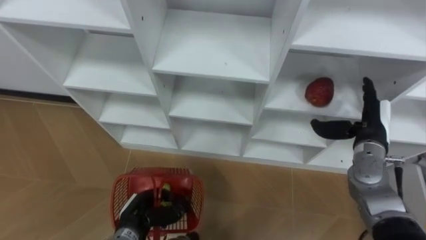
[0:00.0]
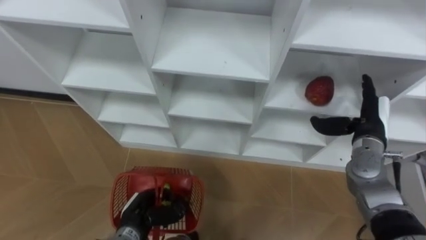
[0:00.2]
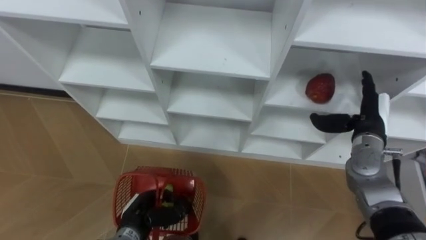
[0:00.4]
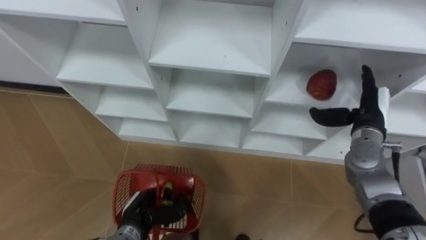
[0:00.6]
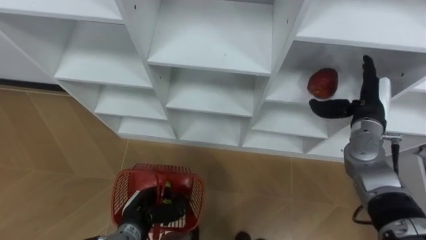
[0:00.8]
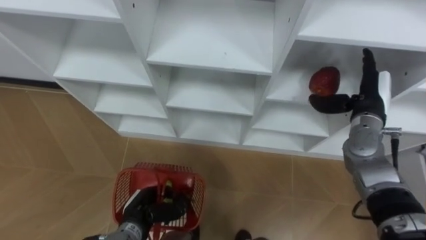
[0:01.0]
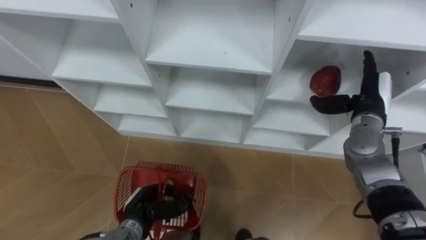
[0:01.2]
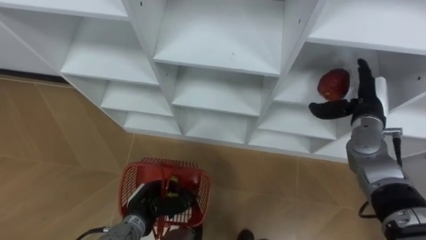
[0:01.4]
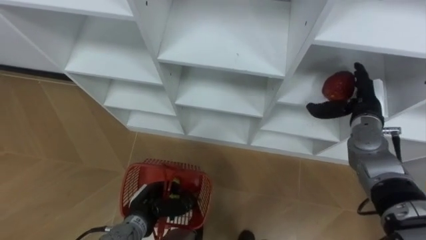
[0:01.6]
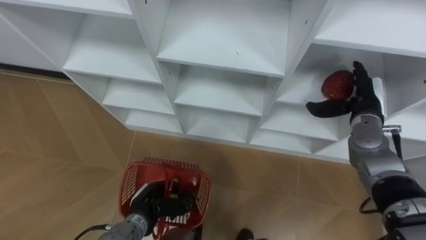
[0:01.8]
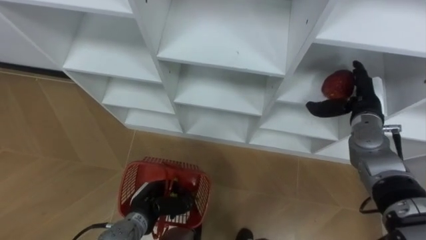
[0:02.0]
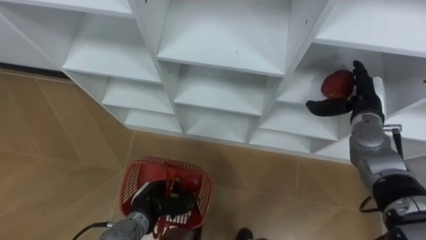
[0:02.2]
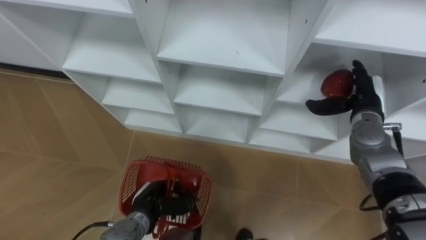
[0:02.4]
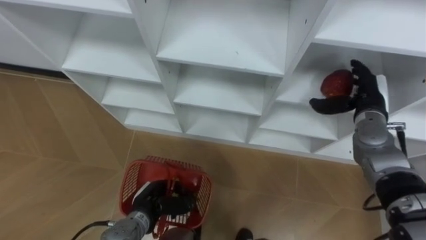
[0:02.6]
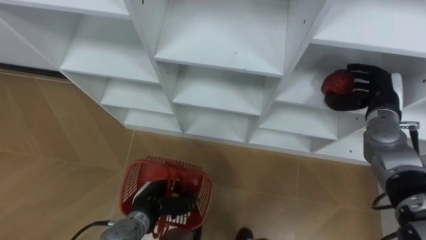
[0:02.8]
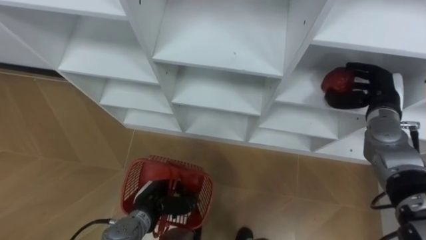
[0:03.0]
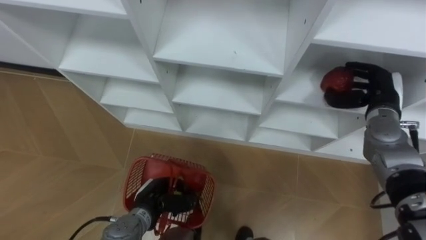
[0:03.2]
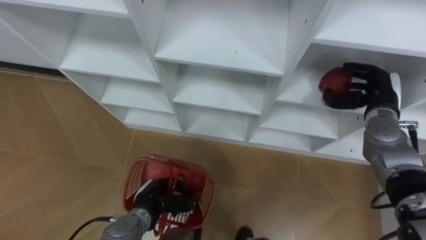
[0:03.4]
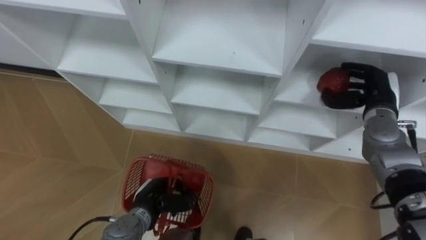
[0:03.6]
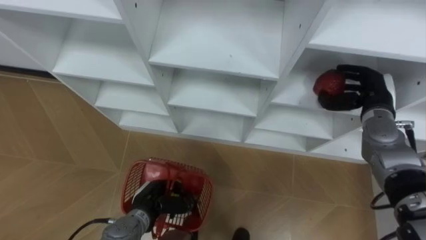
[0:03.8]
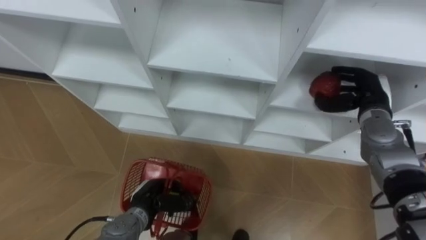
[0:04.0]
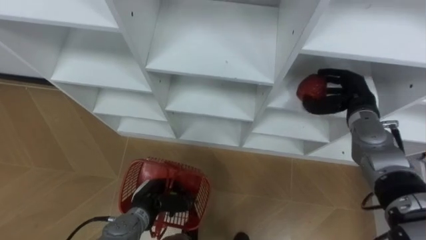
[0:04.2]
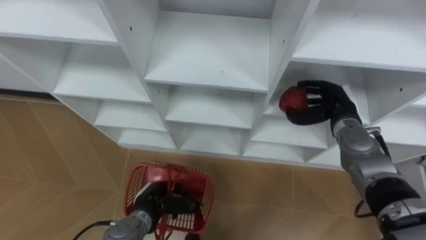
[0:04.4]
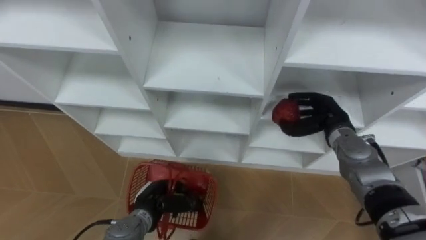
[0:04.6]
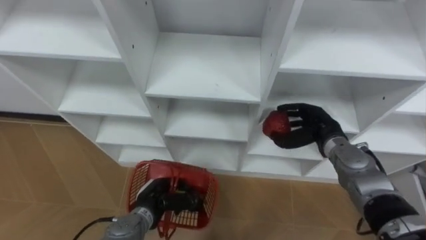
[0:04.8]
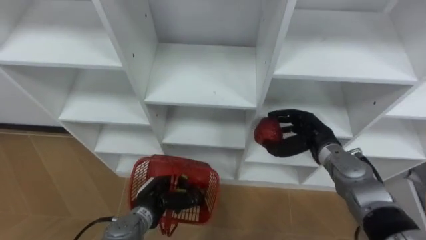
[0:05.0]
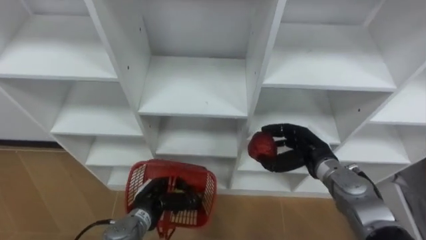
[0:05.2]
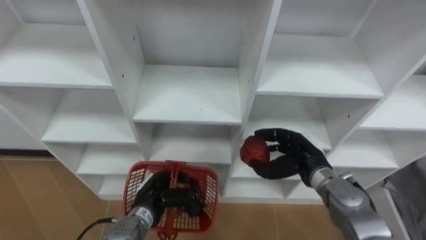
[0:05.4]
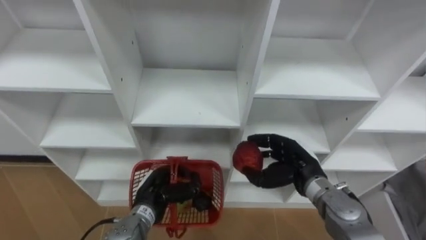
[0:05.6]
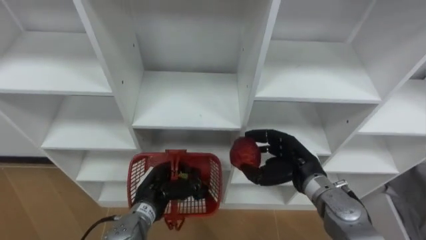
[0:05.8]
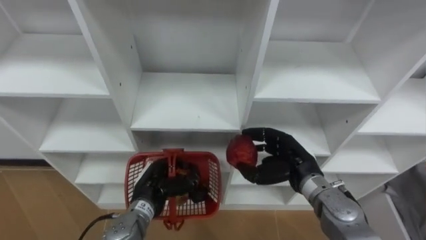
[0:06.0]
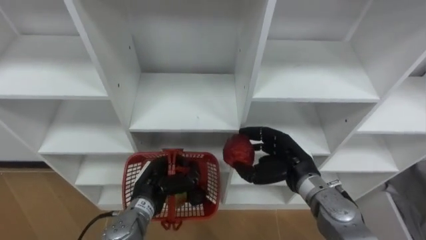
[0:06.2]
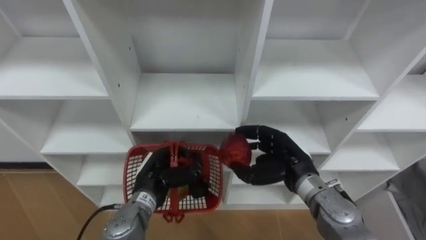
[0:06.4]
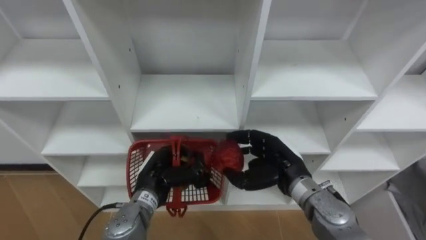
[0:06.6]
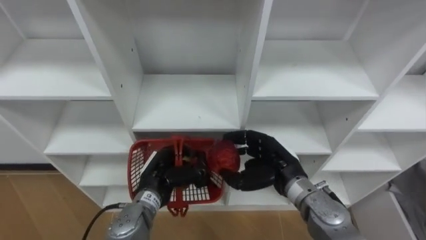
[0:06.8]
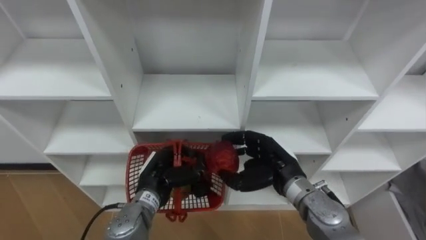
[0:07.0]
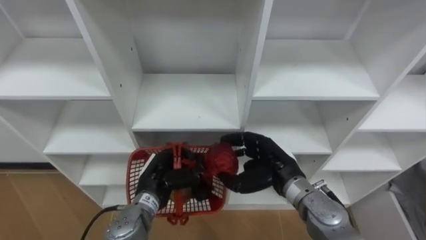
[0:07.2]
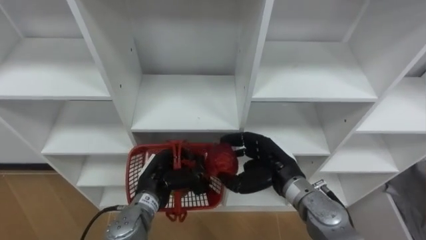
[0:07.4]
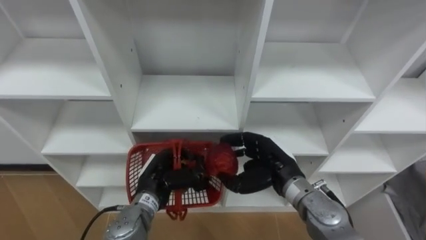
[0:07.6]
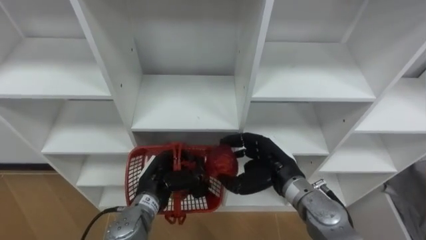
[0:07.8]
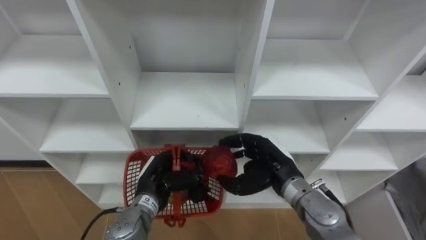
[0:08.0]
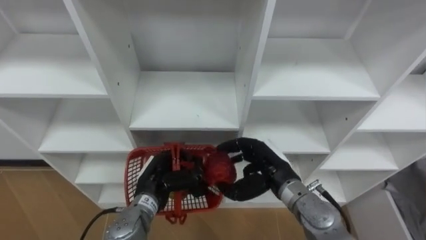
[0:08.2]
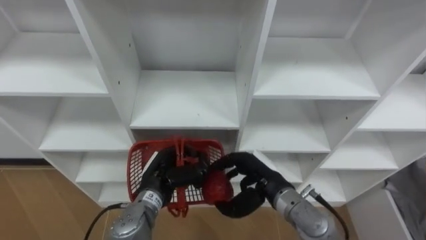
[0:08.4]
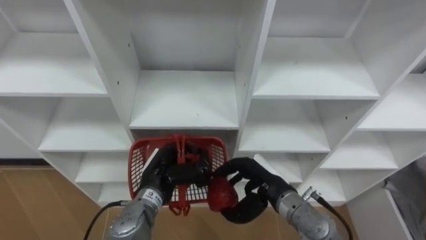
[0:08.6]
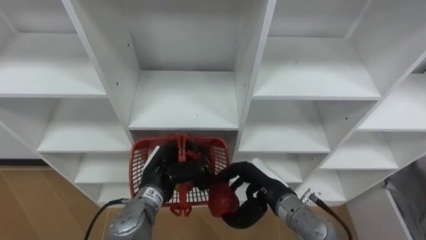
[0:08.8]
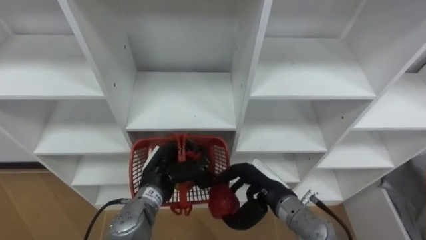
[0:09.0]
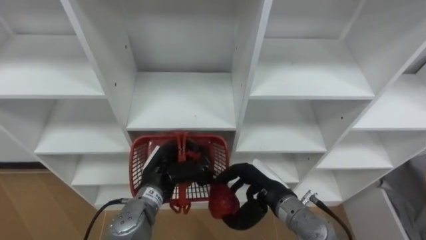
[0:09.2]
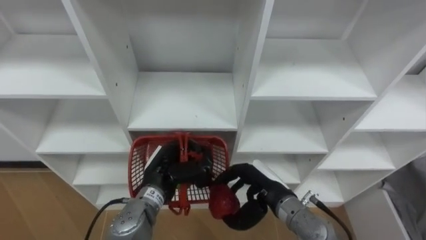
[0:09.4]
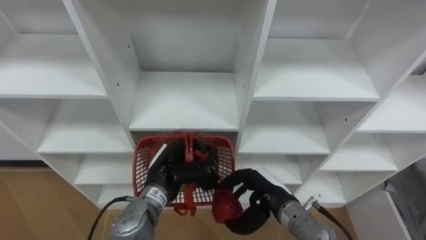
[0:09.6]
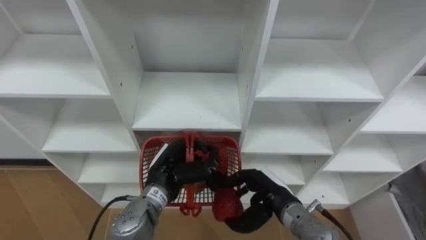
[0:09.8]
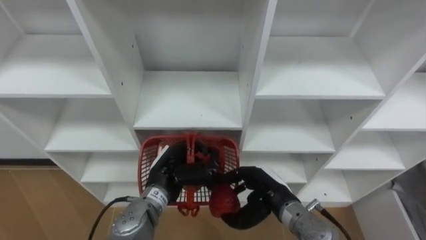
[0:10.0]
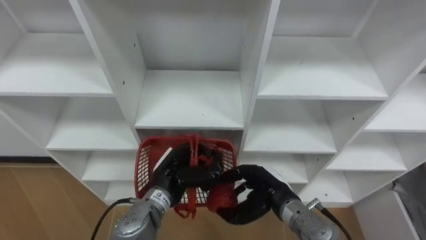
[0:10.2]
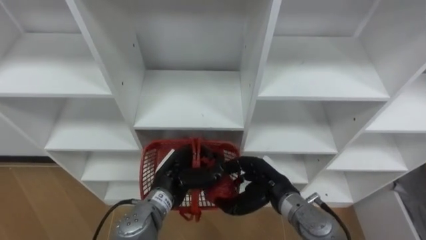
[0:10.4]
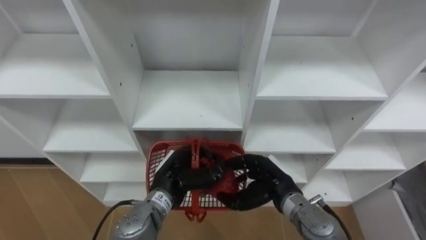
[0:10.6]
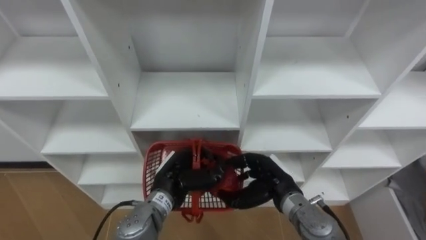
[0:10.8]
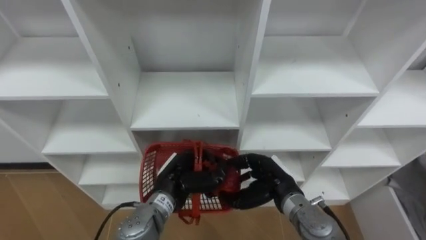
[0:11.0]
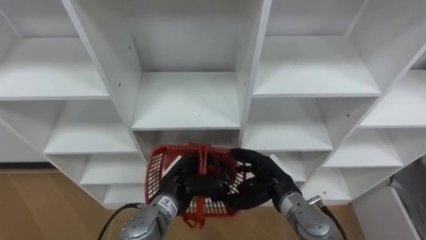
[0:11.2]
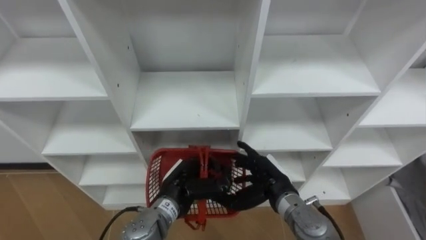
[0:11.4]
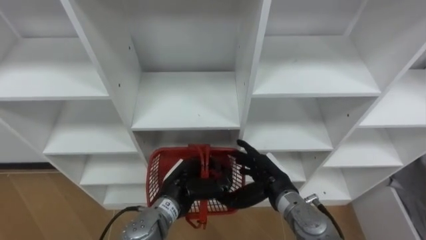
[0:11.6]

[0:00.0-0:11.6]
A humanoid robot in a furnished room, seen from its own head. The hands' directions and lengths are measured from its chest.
Task of the whole recording: Hold the basket and collect the fruits from 3 different cells of the closet into it.
0:01.4 to 0:02.8: The right hand closes its fingers.
0:02.8 to 0:04.4: The right hand goes approximately 5 cm to the left.
0:04.4 to 0:05.8: The right hand is displaced backward and to the left by about 15 cm.
0:05.8 to 0:07.2: The right hand moves about 5 cm.
0:08.8 to 0:10.2: The hands move only a little.
0:10.2 to 0:11.6: The right hand opens.

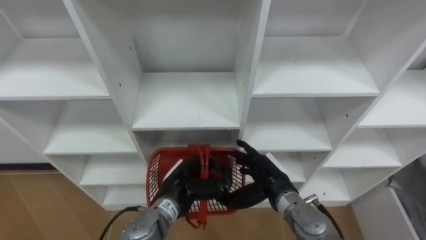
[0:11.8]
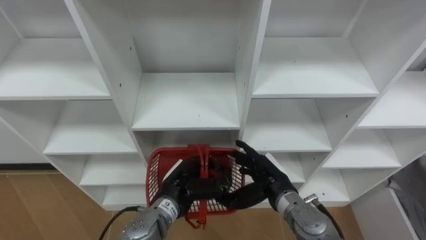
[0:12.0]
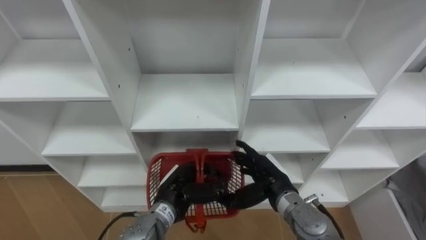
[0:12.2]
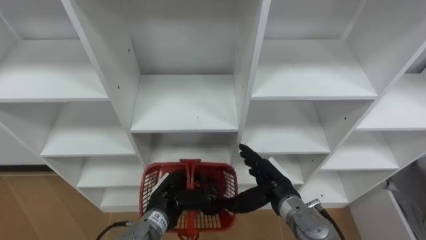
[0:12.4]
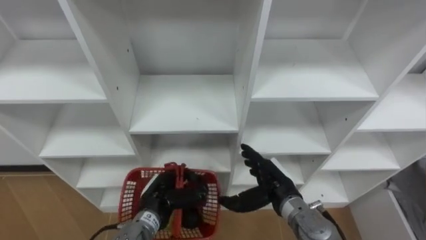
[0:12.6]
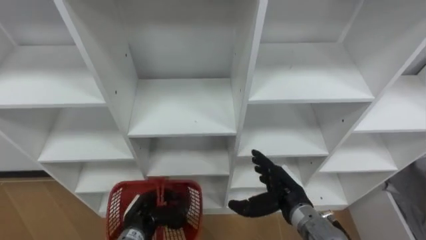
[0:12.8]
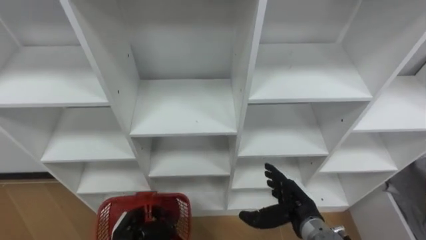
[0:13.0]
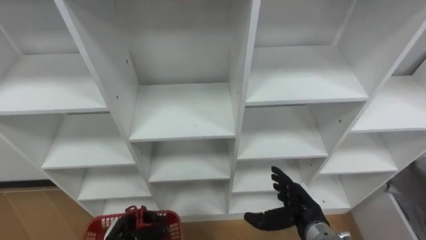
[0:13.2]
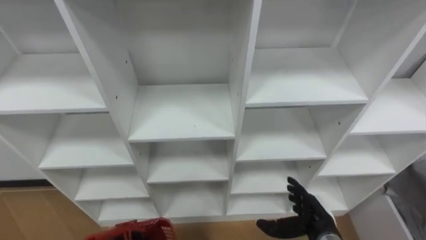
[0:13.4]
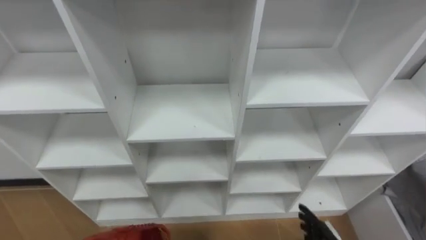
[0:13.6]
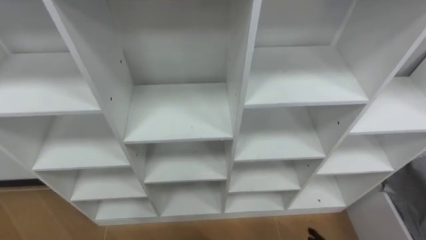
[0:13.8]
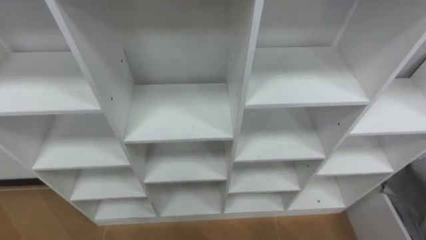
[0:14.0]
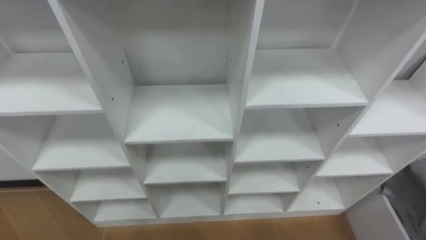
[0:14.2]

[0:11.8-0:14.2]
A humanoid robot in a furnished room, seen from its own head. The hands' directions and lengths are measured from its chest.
Task of the whole recording: Hold the basket and collect the fruits from 3 different cells of the closet into it.
0:11.8 to 0:13.0: The right hand travels to the right by approximately 5 cm; the left hand is displaced to the left, downward and backward by some 15 cm.

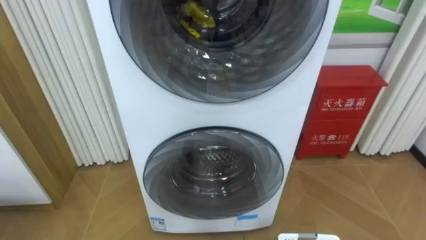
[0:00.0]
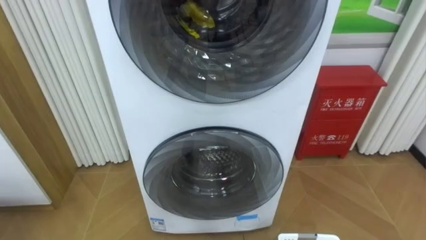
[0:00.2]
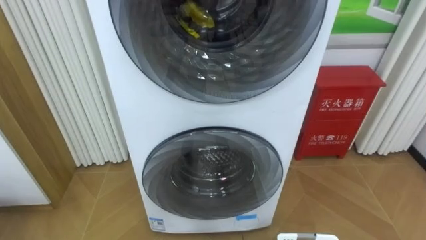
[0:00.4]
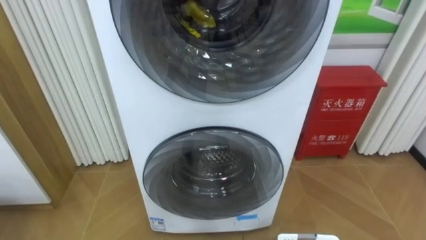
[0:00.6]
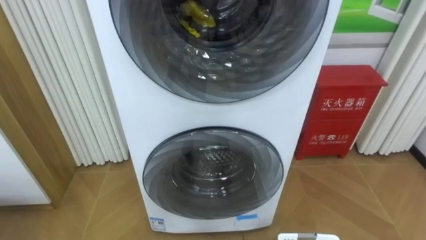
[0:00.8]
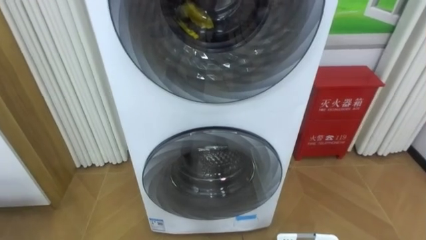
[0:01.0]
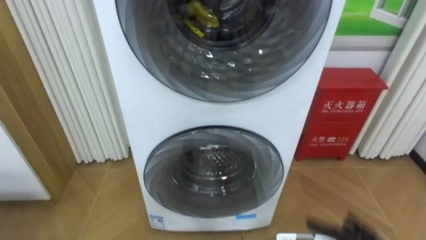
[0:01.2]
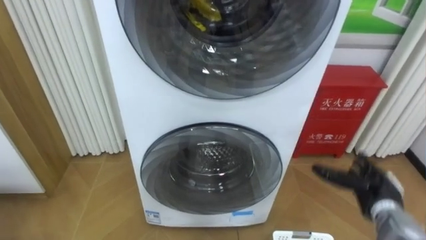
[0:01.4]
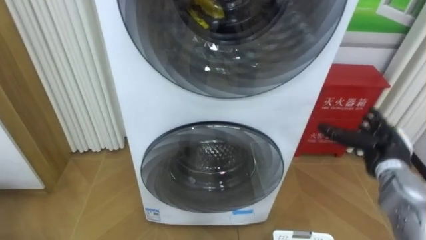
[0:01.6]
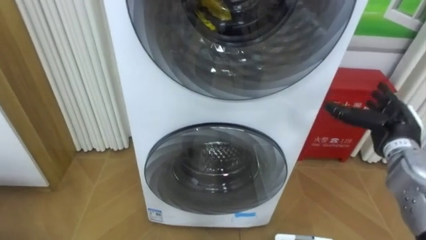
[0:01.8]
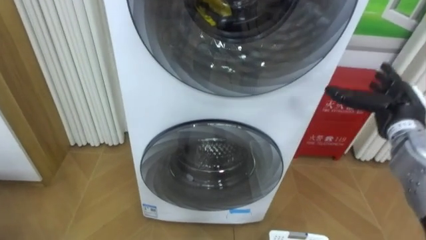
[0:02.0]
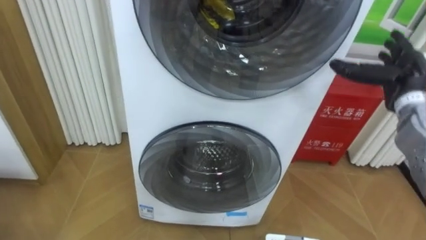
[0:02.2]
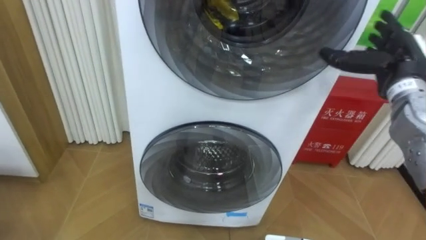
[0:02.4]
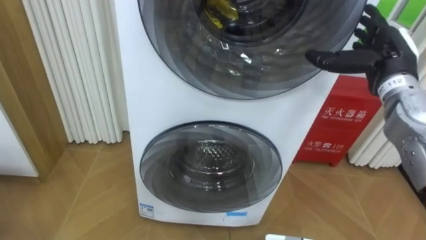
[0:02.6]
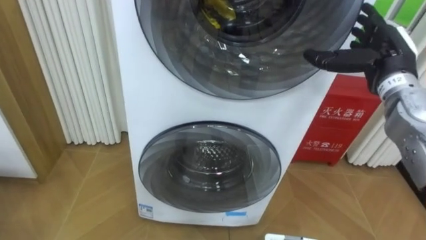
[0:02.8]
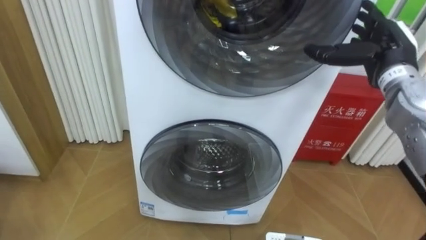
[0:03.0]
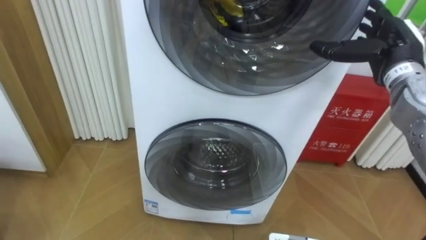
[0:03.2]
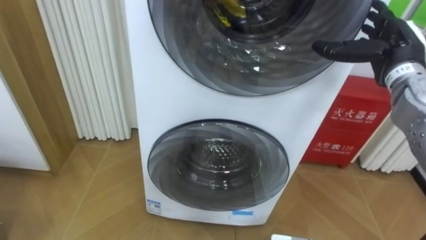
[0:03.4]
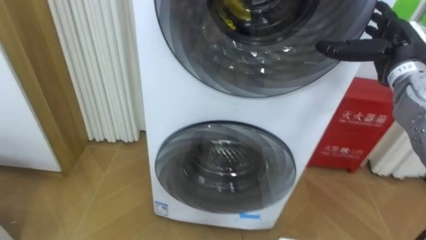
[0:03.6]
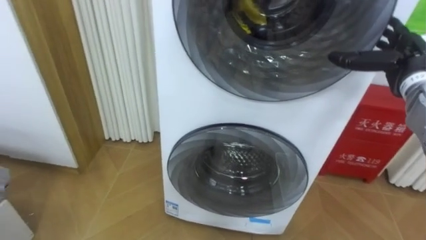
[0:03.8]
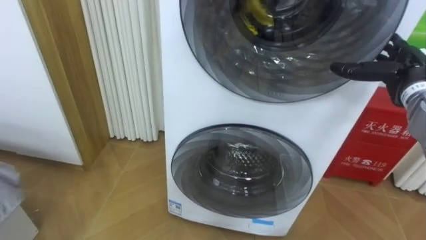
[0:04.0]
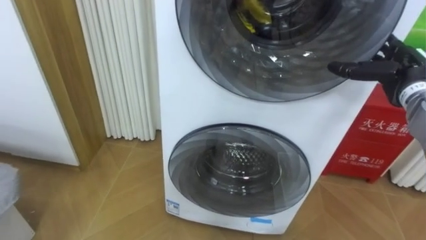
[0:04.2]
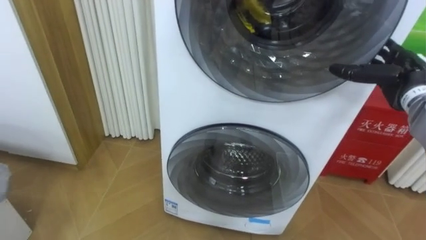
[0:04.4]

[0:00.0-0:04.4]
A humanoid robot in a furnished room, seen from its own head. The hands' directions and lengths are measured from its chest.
Task of the whole recording: Open the washing machine door, take out the yellow clothes, place them in the box on the right, and close the washing machine door.
0:01.4 to 0:03.0: The right hand travels upward and forward by some 25 cm.
0:03.0 to 0:04.4: The right hand heads to the right and downward, covering some 10 cm.
